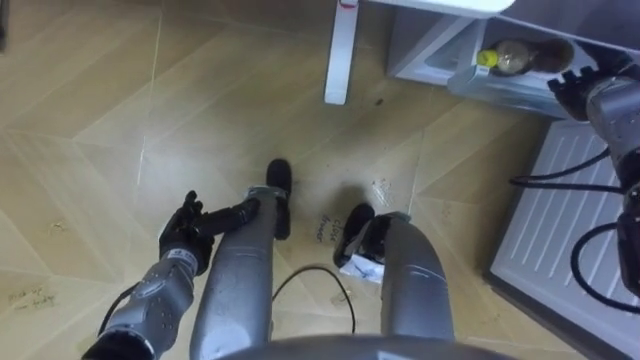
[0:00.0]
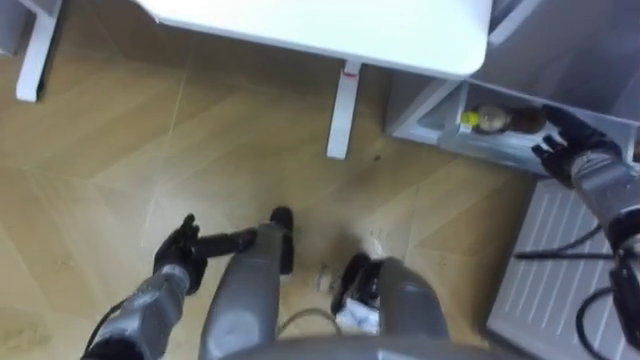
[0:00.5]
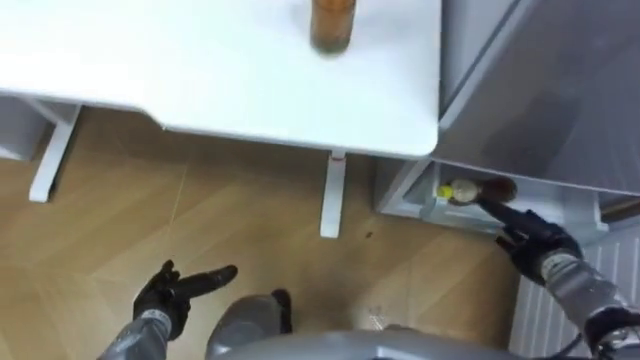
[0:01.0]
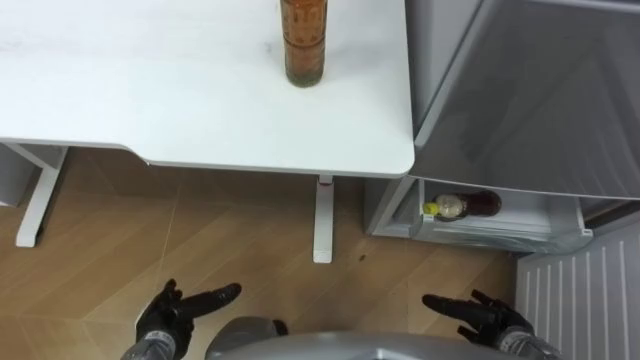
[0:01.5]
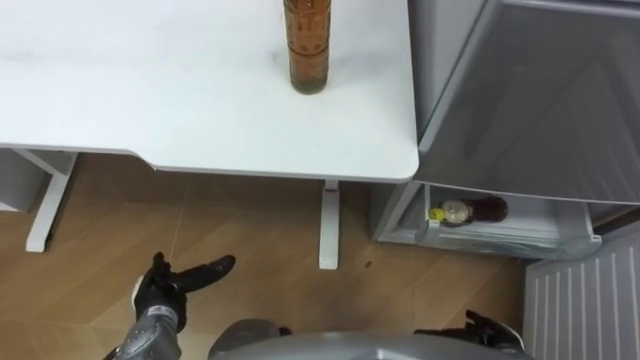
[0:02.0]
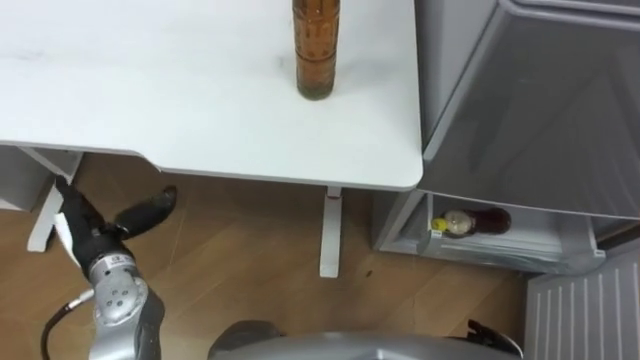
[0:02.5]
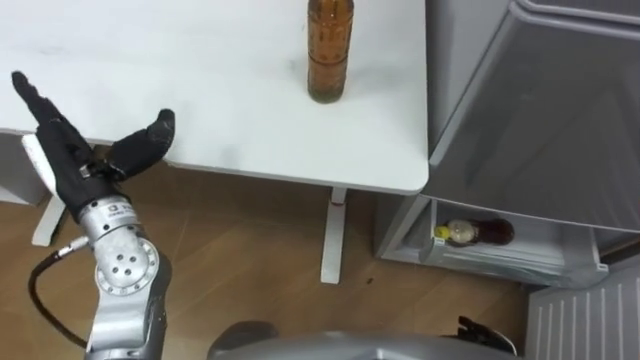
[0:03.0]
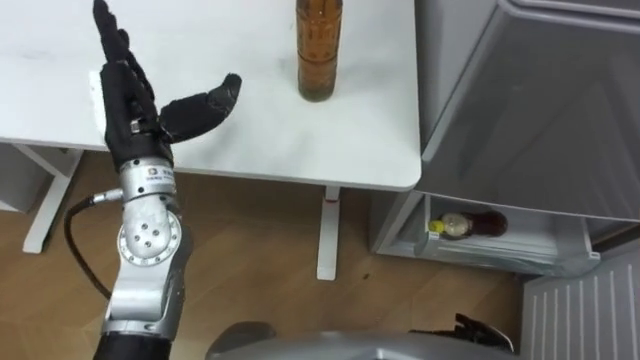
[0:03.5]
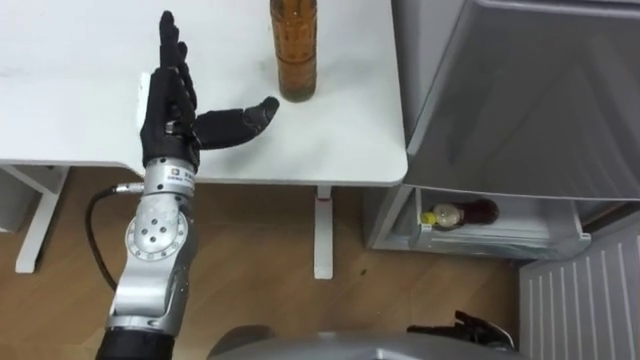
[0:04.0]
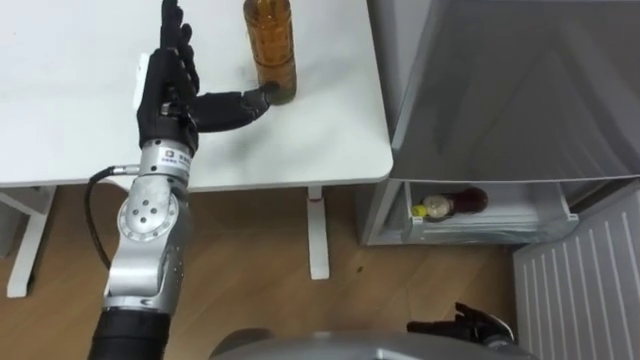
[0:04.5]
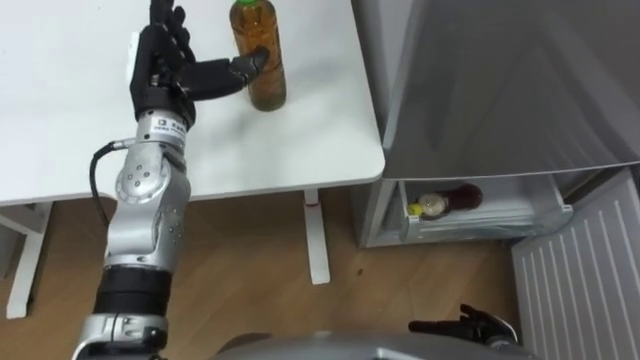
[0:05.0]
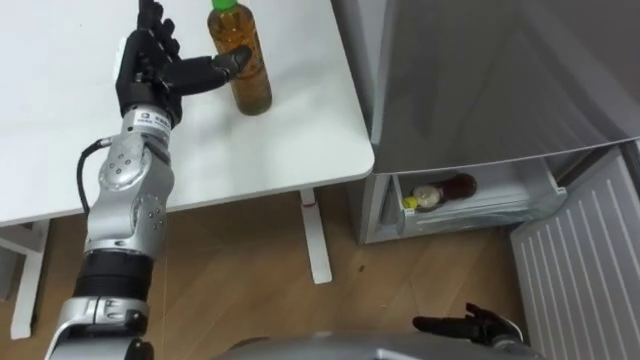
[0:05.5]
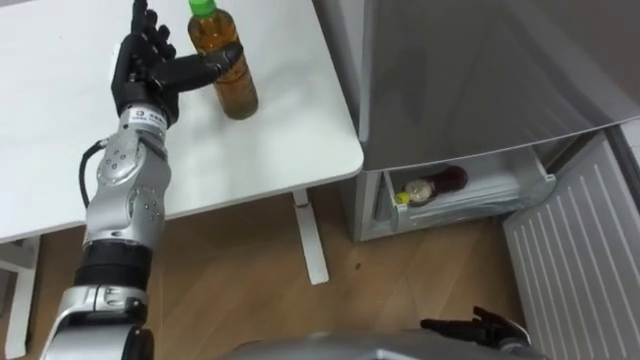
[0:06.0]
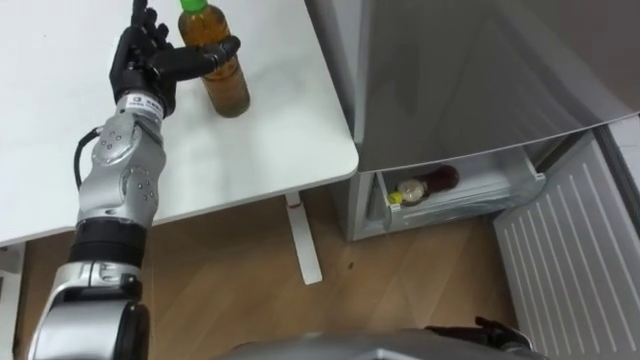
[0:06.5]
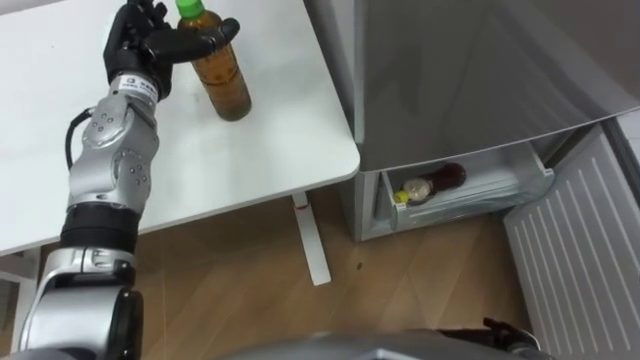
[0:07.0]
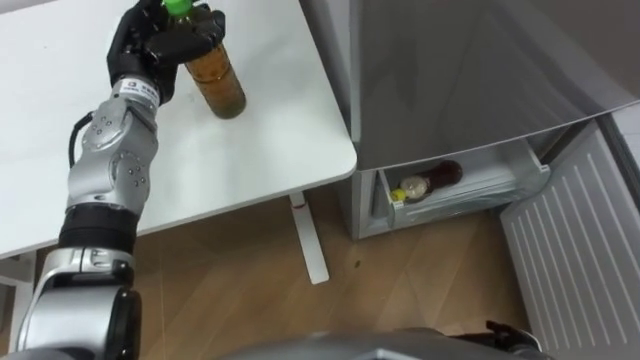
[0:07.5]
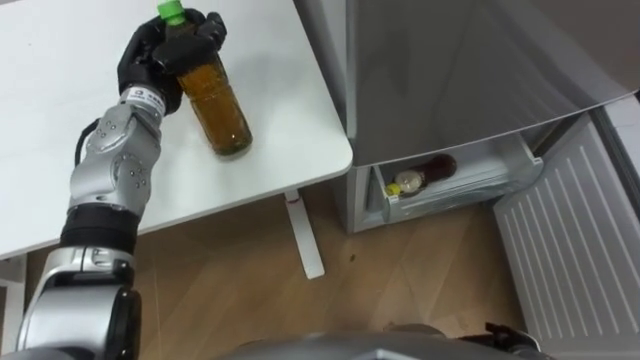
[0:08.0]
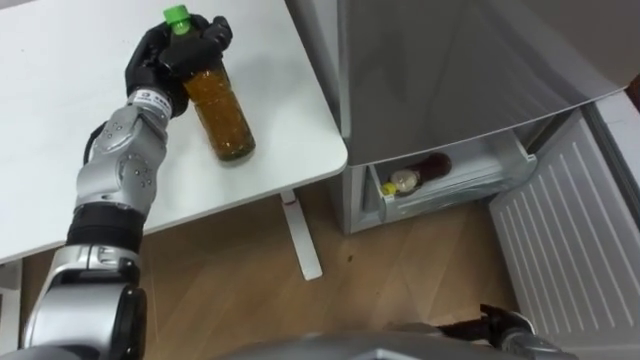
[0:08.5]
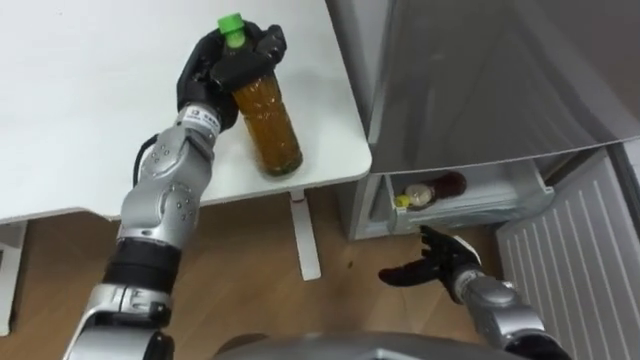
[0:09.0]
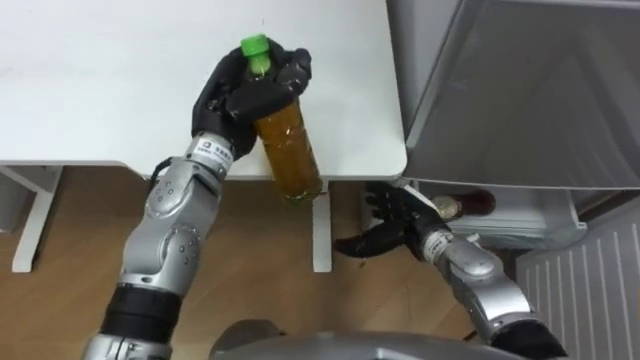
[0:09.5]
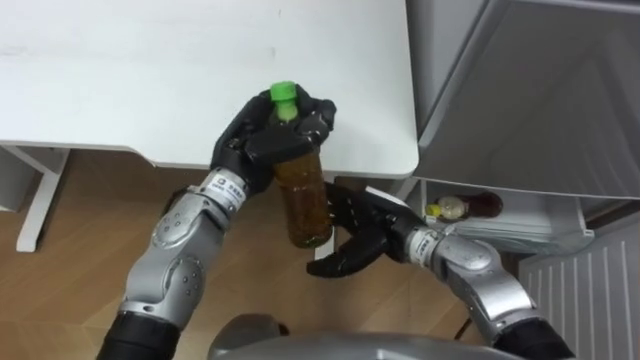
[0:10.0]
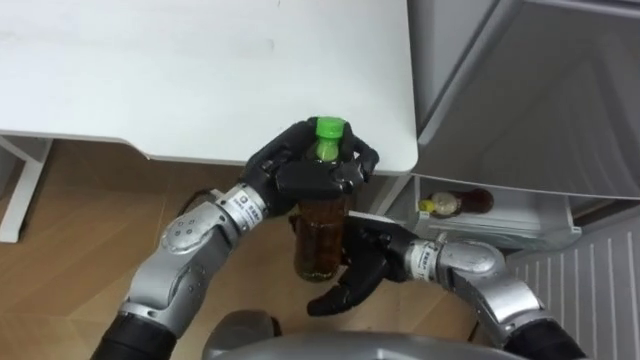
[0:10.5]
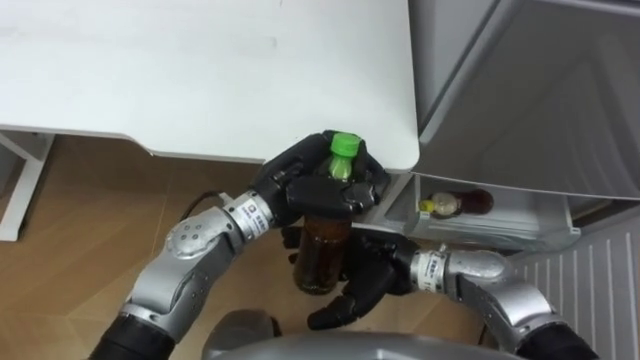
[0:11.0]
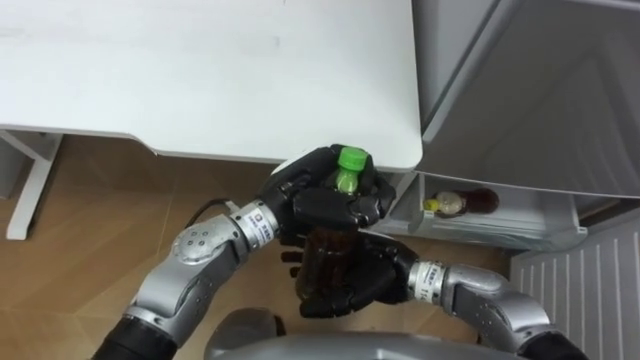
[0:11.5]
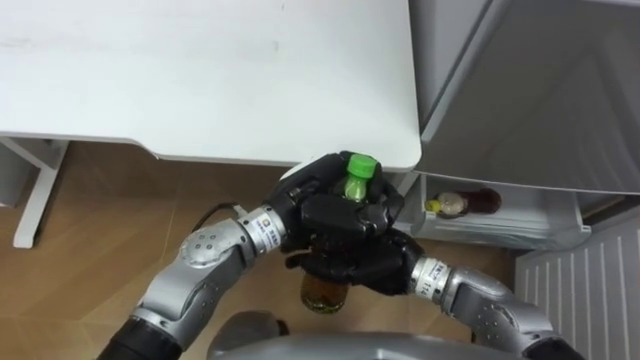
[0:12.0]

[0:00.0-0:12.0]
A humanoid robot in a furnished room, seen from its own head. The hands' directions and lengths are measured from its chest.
Task of the whole recording: Place the drink on the table on the bottom shelf of the refrigerator, then close the drawer and the refrigerator door.
0:00.0 to 0:02.0: The right hand goes about 40 cm backward and downward; the left hand shifts roughly 10 cm backward.
0:02.0 to 0:04.0: The left hand travels upward and forward by about 30 cm.
0:04.0 to 0:06.0: The left hand heads forward, covering roughly 5 cm.
0:06.0 to 0:08.0: The left hand closes its fingers.
0:08.0 to 0:10.0: The right hand travels to the left, forward and upward by about 30 cm; the left hand moves to the right and backward, some 15 cm.
0:10.0 to 0:12.0: The right hand ends up some 5 cm from where it was; the left hand is displaced to the right and backward by some 10 cm.

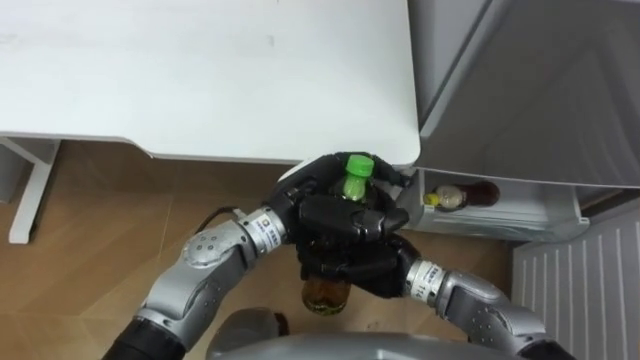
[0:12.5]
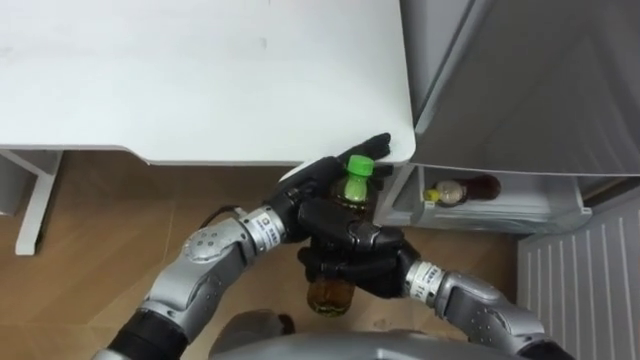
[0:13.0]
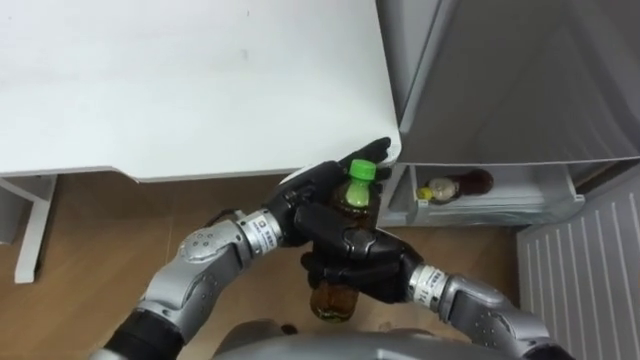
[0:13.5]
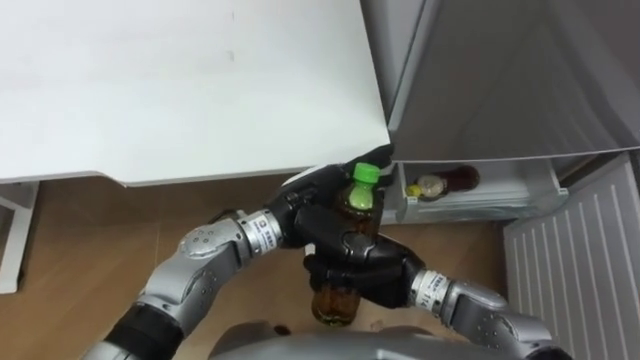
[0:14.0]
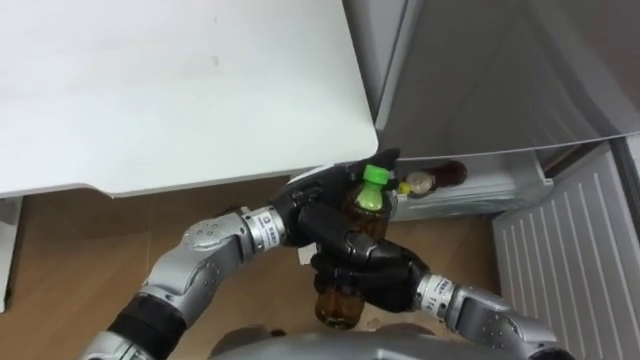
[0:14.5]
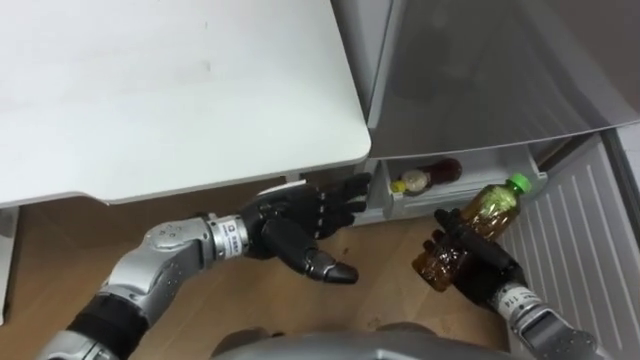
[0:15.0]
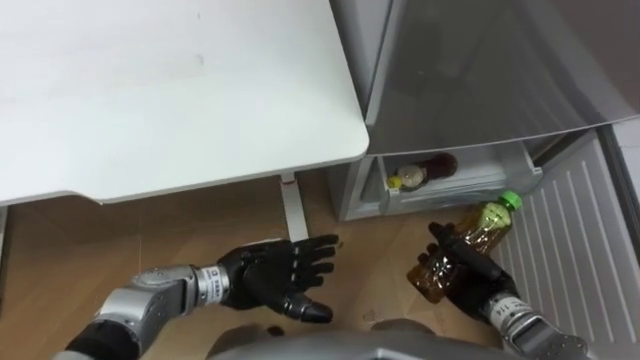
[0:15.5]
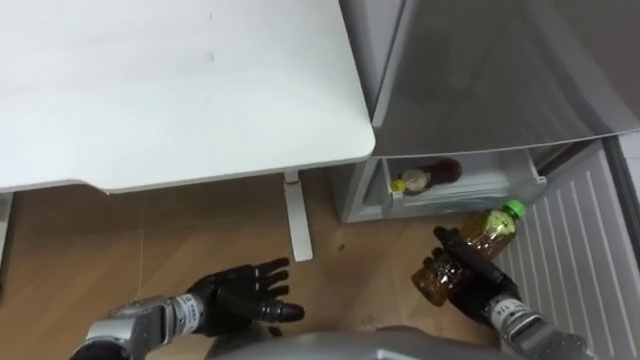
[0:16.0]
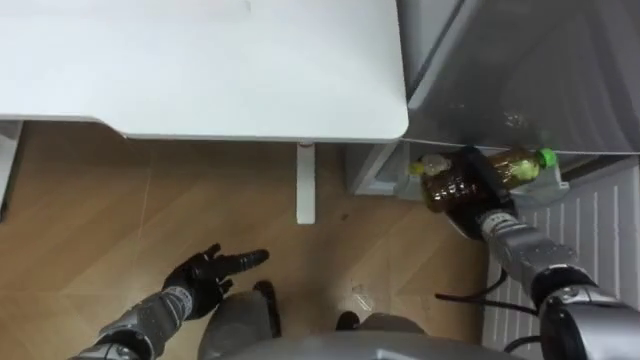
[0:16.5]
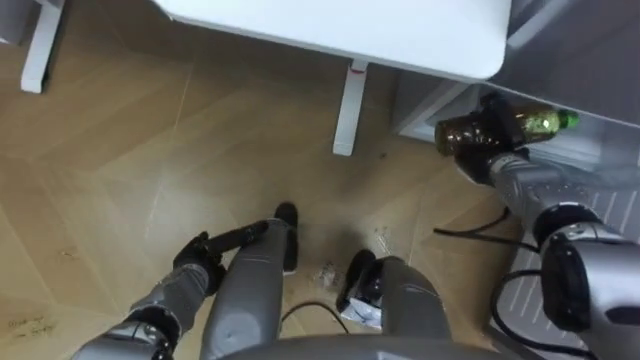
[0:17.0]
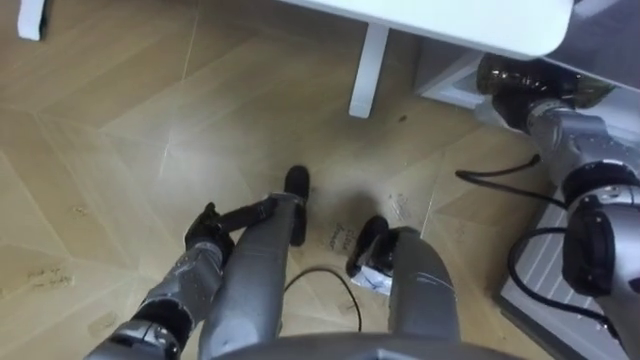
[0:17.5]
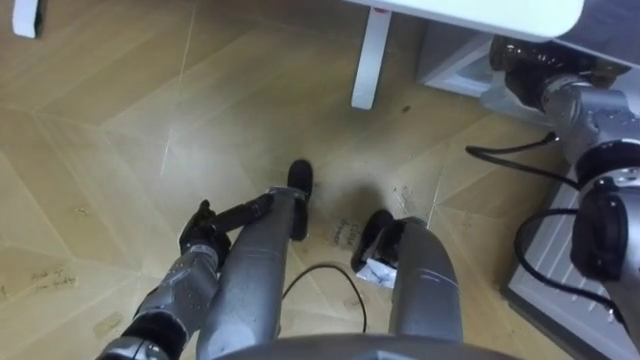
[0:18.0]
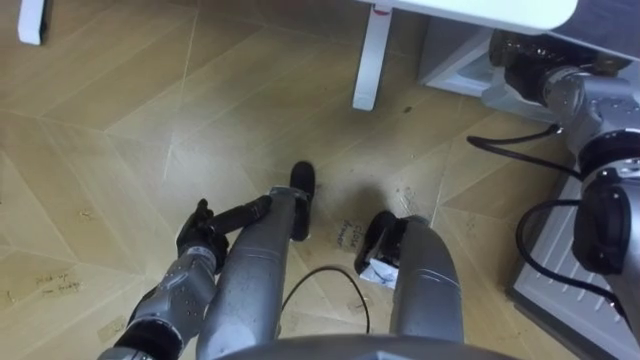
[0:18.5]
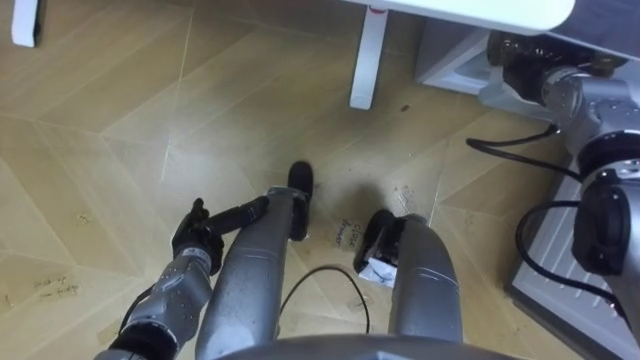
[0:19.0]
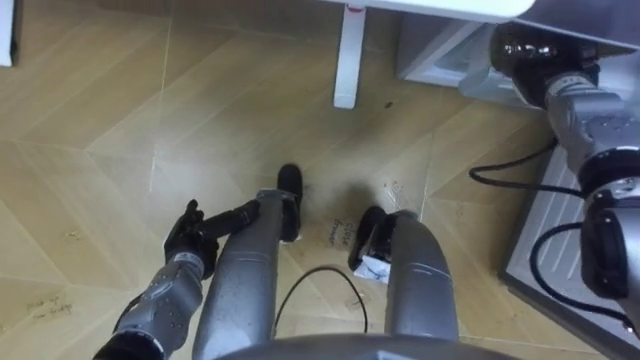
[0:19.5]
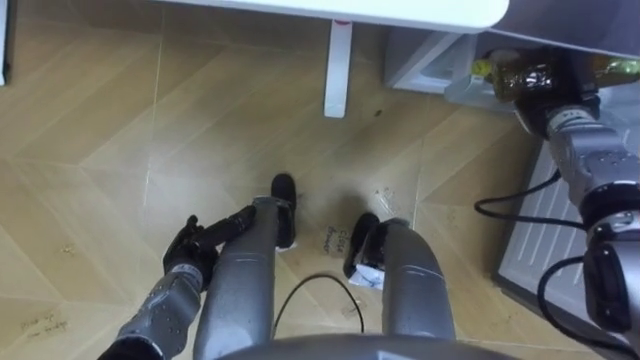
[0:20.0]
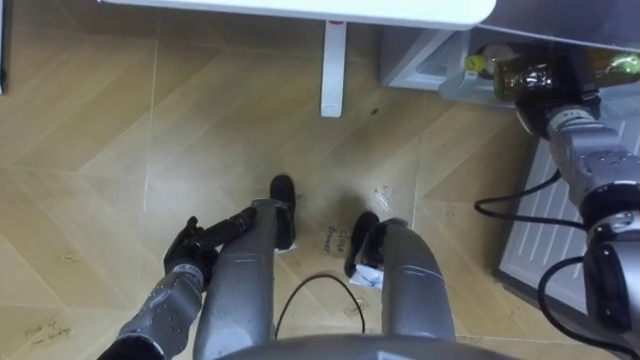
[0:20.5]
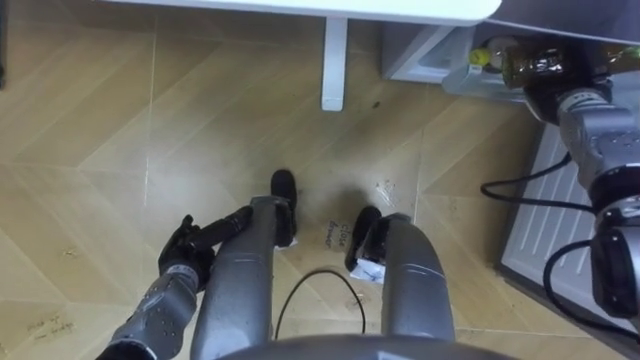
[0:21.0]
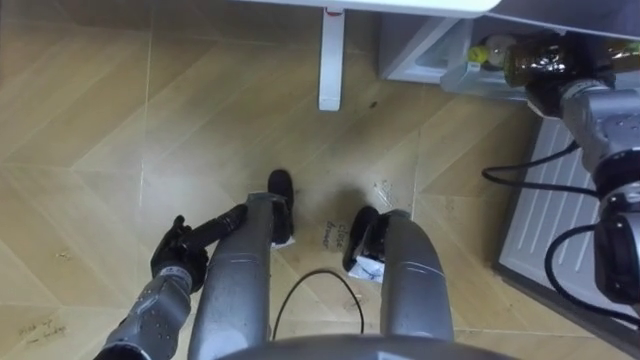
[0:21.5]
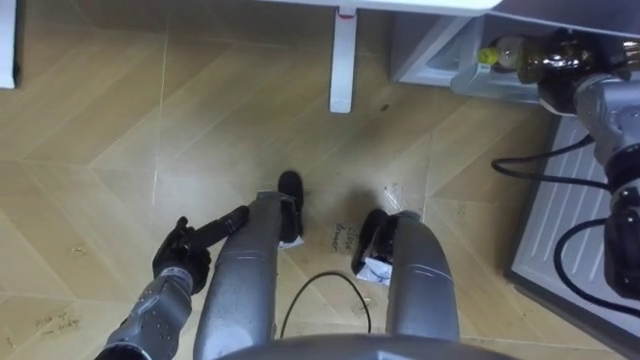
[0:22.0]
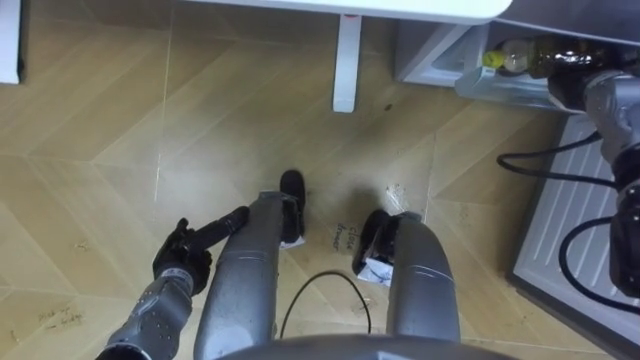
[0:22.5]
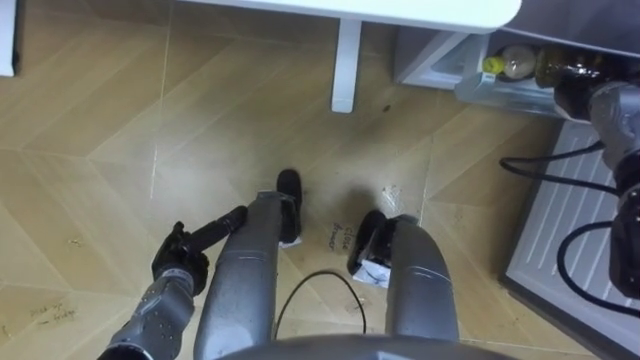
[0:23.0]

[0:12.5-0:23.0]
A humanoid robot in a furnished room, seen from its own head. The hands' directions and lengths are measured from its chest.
Task of the whole recording: Place the drink on the table on the bottom shelf of the refrigerator, then close the drawer and the refrigerator door.
0:12.5 to 0:14.5: The left hand opens its fingers.
0:14.5 to 0:16.5: The right hand goes some 20 cm to the right and forward; the left hand shifts roughly 25 cm downward, to the left and backward.
0:16.5 to 0:19.0: The right hand shifts some 20 cm upward and forward, while the left hand moves forward, roughly 5 cm.
